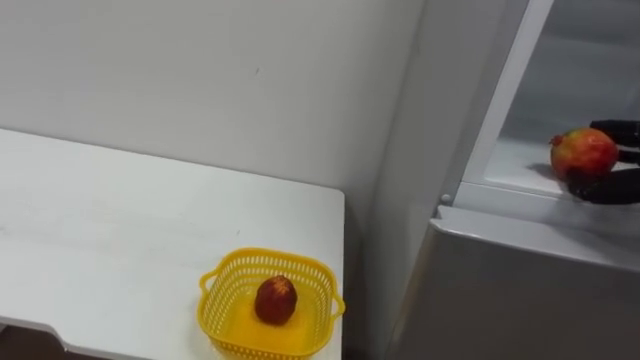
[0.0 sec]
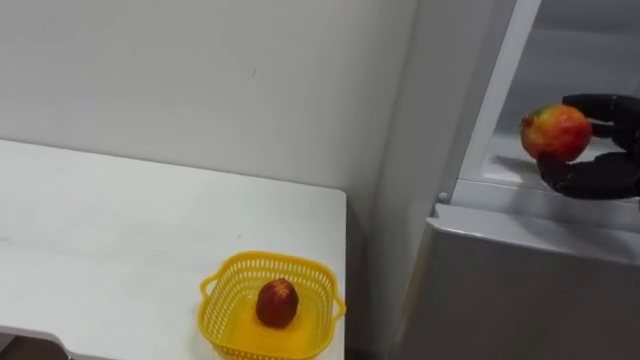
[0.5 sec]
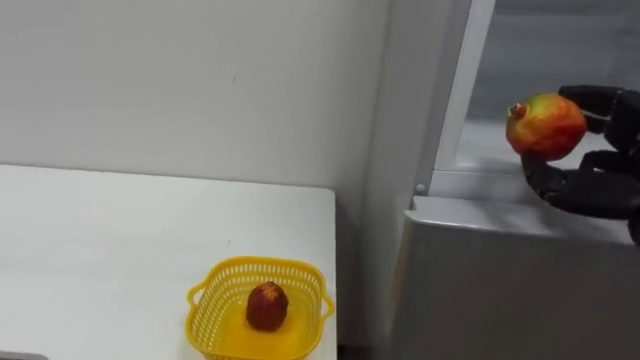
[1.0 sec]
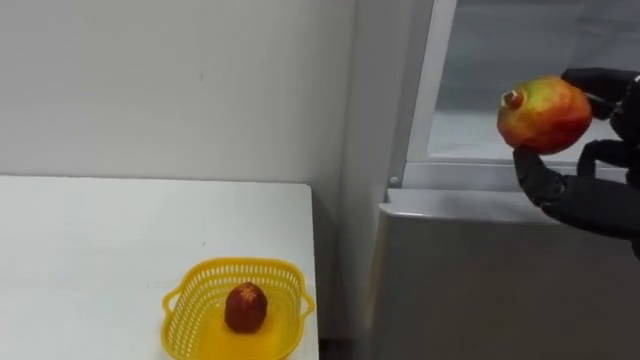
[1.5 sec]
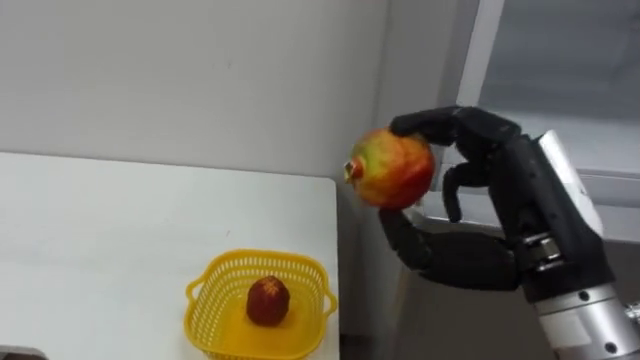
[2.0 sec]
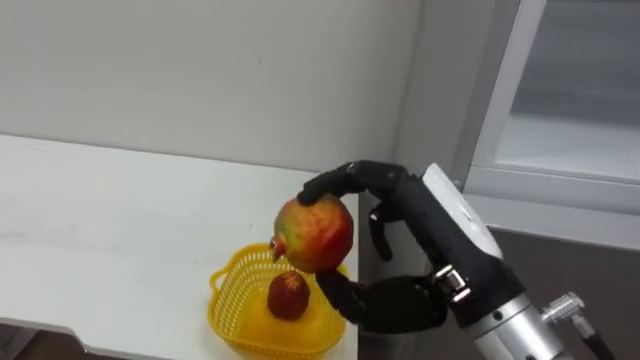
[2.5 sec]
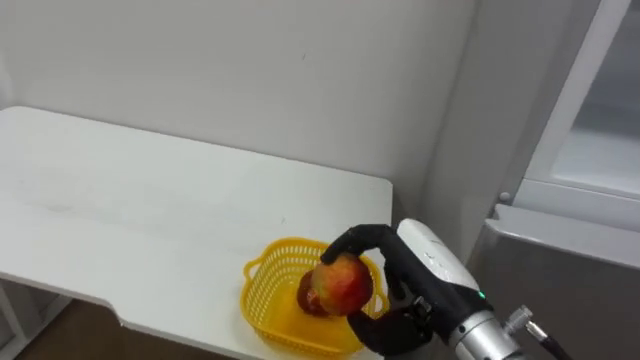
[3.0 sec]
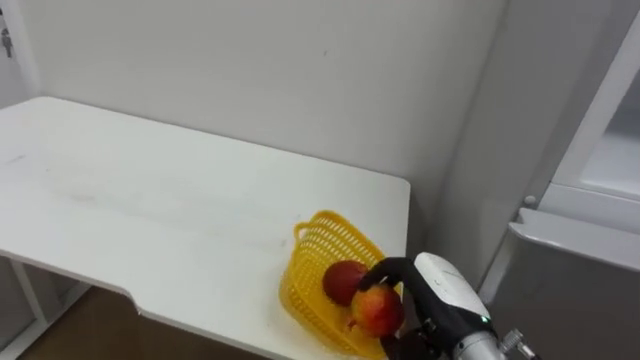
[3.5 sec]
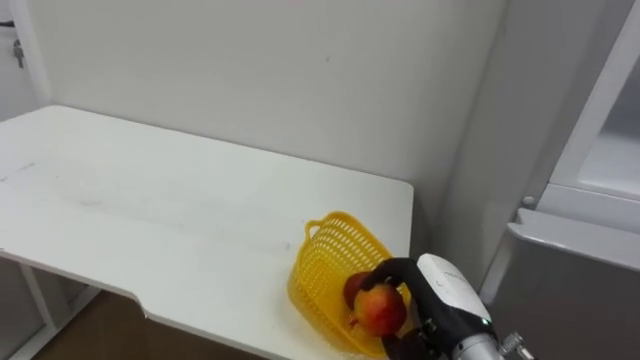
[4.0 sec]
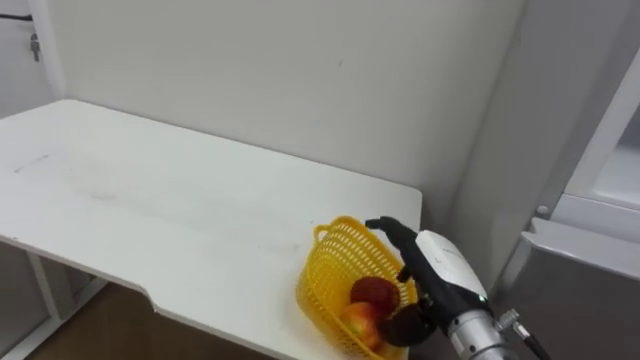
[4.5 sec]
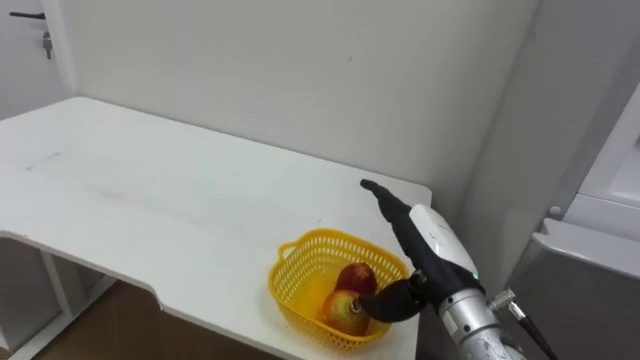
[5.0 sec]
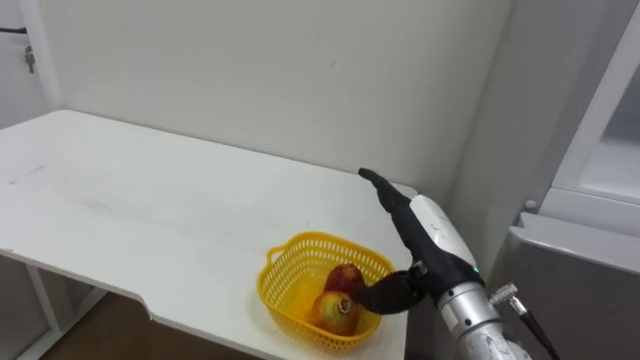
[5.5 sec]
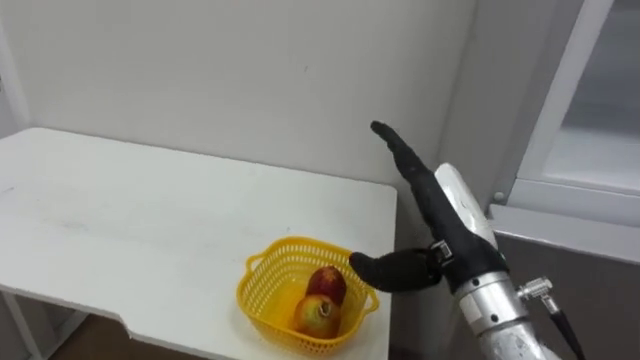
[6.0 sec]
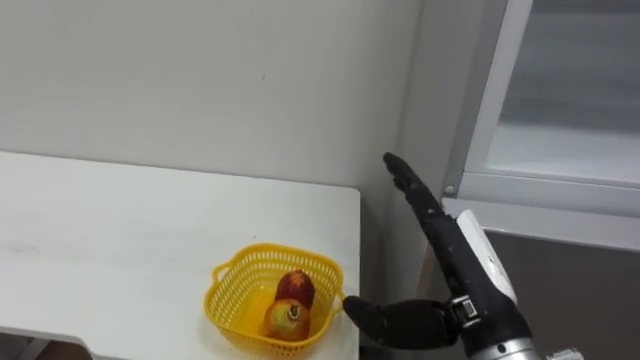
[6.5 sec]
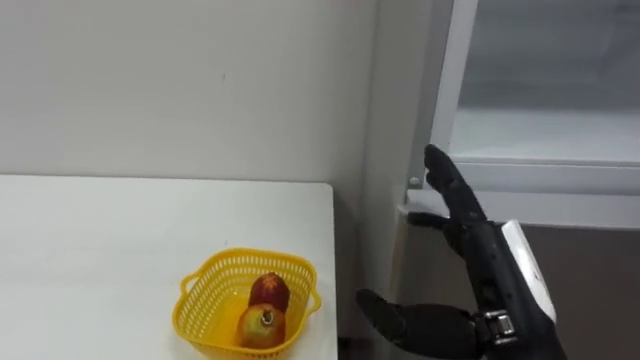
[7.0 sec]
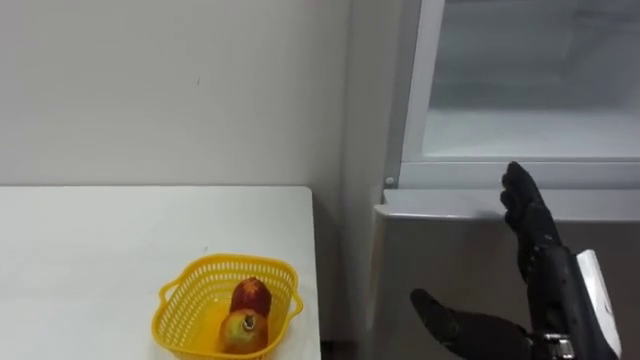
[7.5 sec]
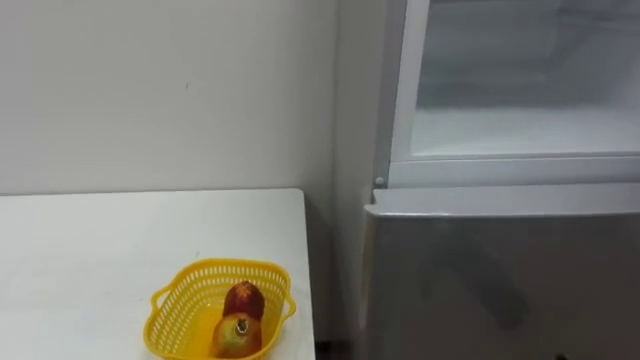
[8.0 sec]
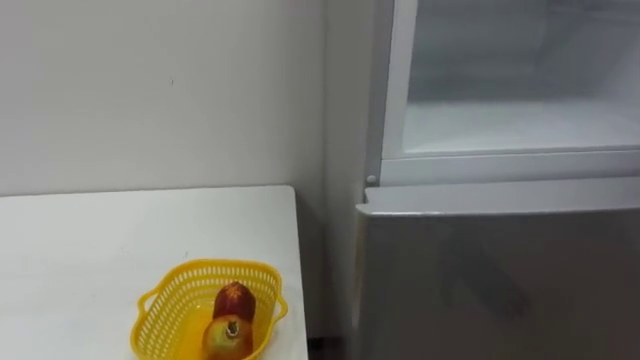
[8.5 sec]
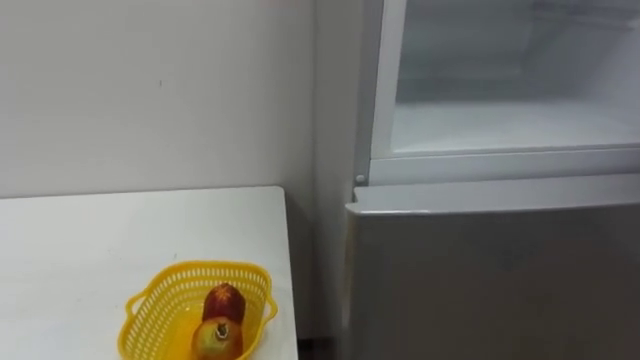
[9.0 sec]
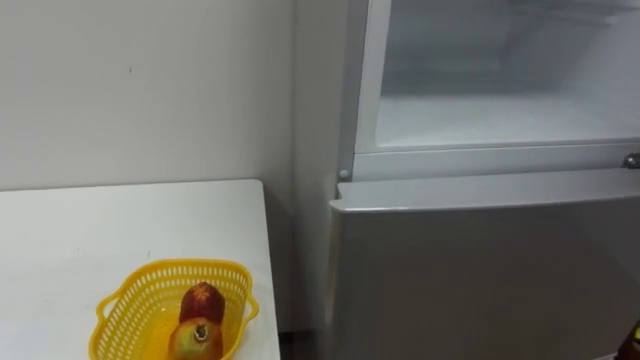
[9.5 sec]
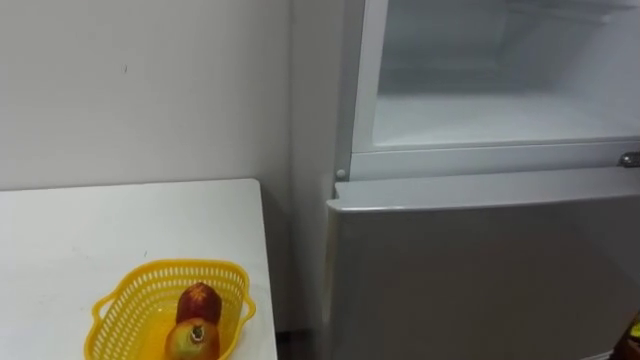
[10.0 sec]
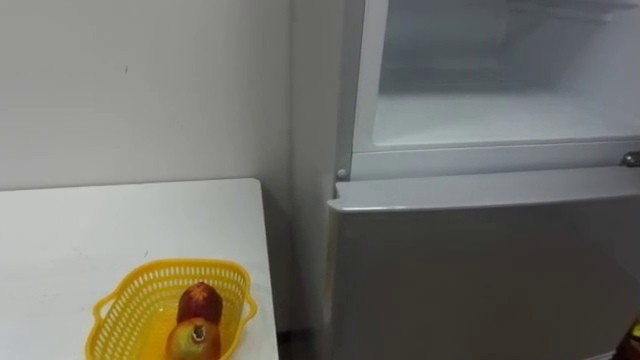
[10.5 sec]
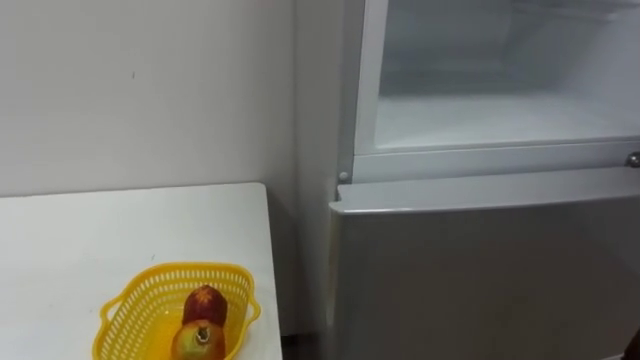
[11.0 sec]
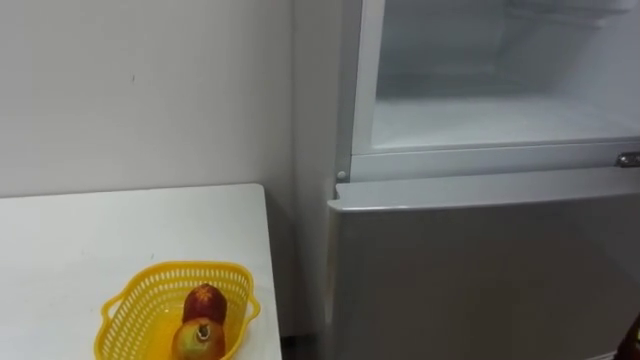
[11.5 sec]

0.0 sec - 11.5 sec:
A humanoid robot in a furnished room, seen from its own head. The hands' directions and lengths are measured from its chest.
Task of the whole recording: Open the refrigerator door, take out the apple and the pomegranate, place them in the fruit basket on the left, and close the refrigerator door.
2.0 sec - 4.0 sec: The right hand heads downward and forward, covering about 20 cm.
4.0 sec - 6.0 sec: The right hand heads upward, covering approximately 10 cm, and opens.
6.0 sec - 7.5 sec: The right hand is displaced backward and to the right by about 10 cm.

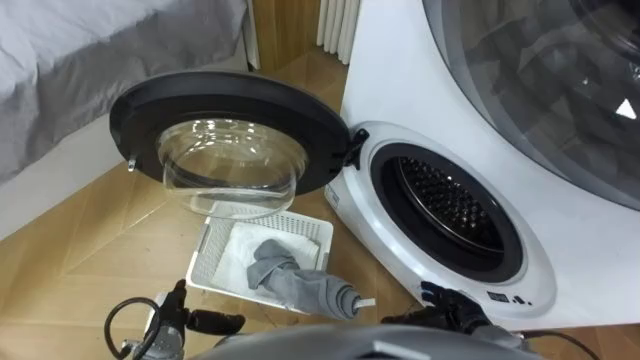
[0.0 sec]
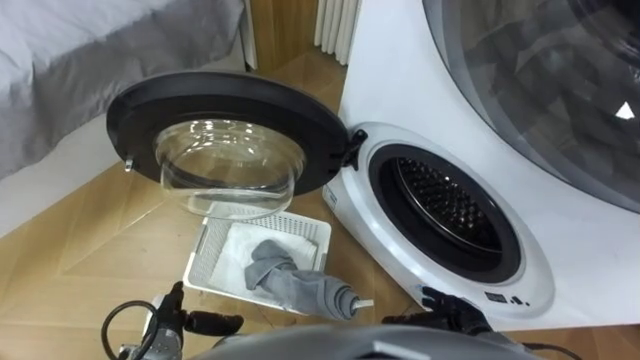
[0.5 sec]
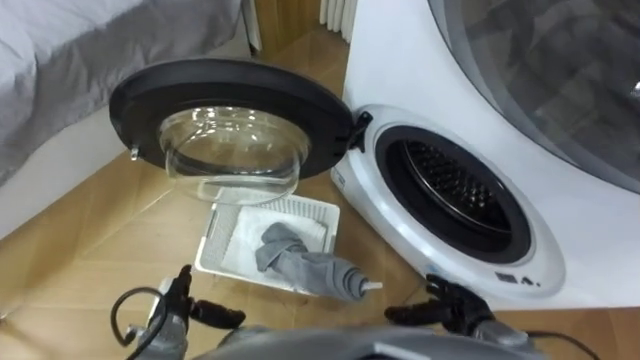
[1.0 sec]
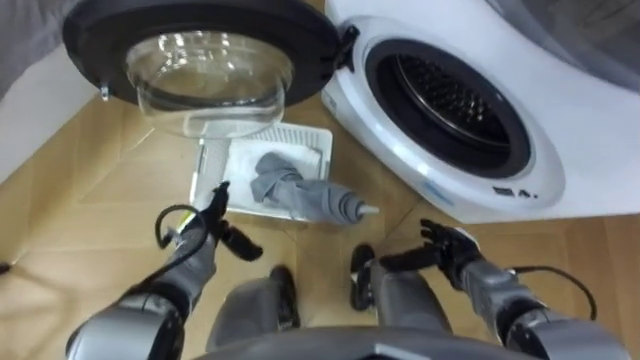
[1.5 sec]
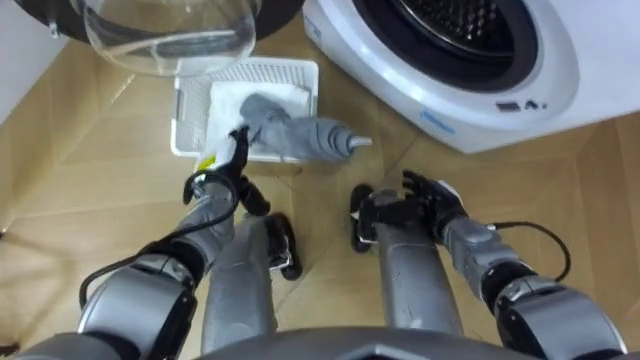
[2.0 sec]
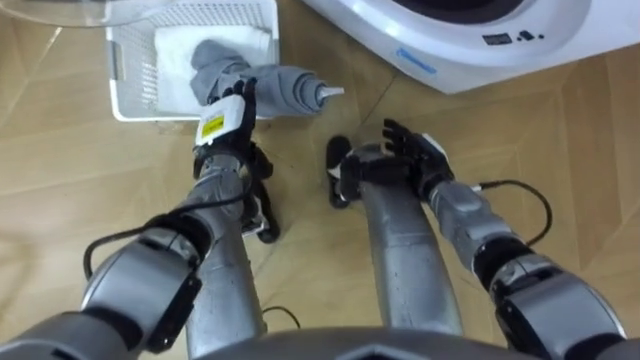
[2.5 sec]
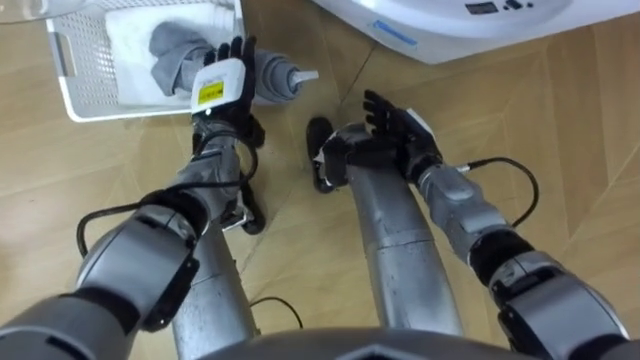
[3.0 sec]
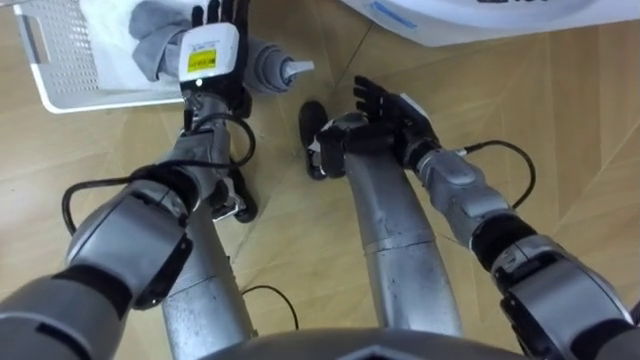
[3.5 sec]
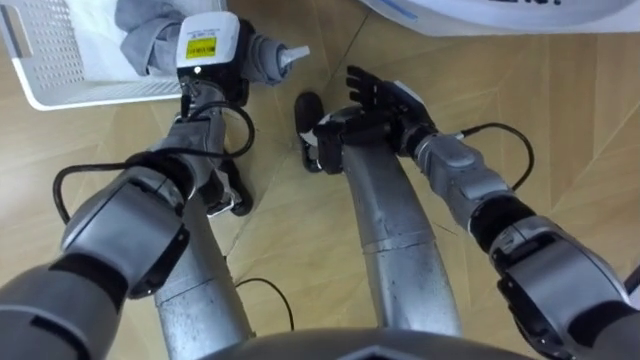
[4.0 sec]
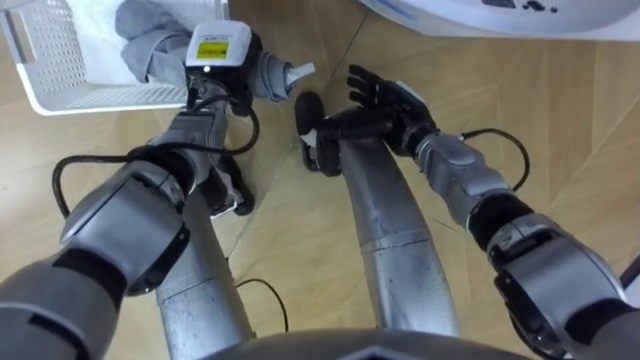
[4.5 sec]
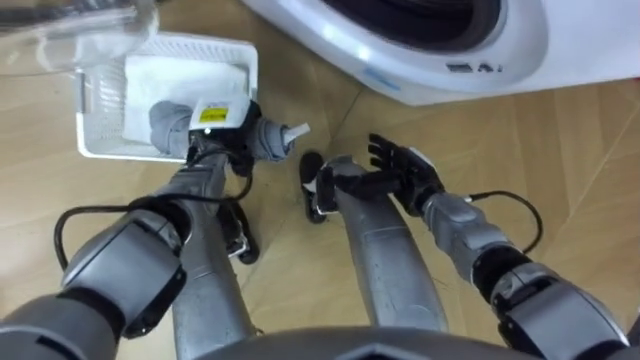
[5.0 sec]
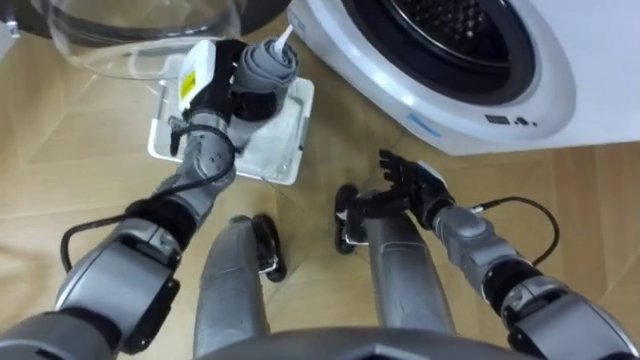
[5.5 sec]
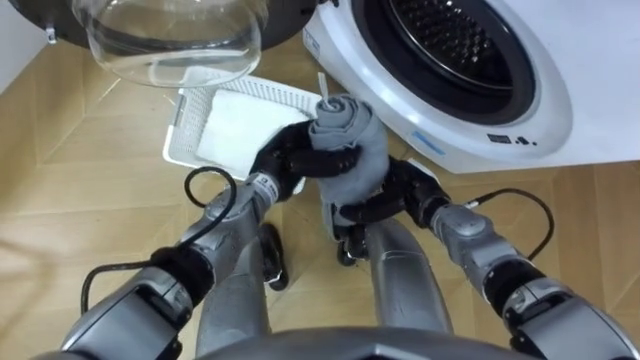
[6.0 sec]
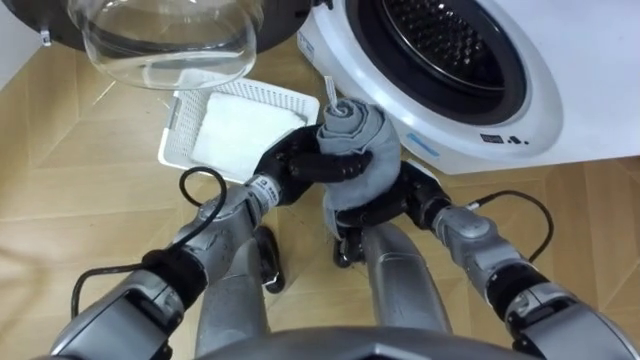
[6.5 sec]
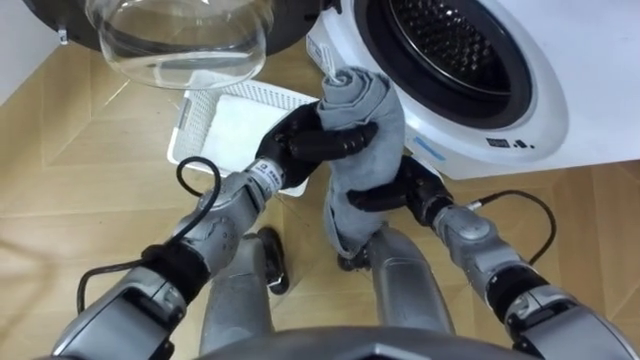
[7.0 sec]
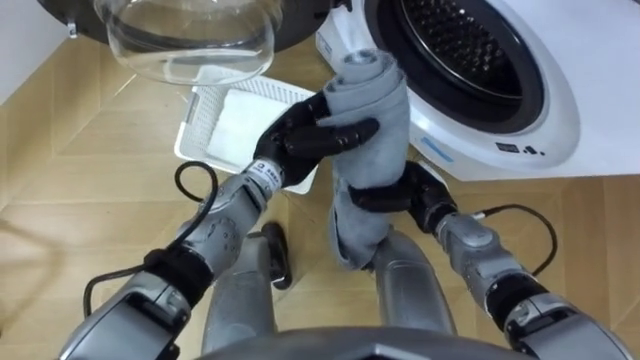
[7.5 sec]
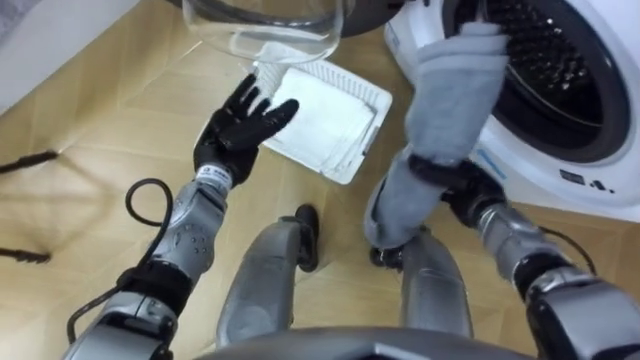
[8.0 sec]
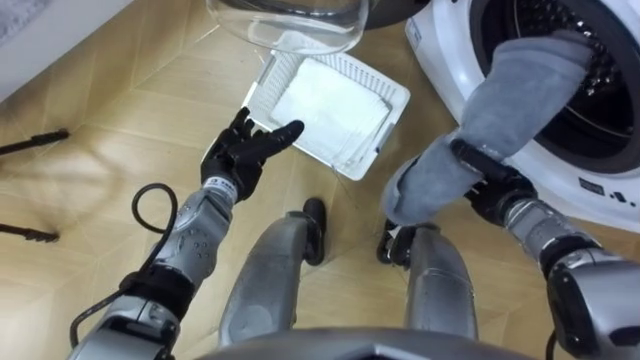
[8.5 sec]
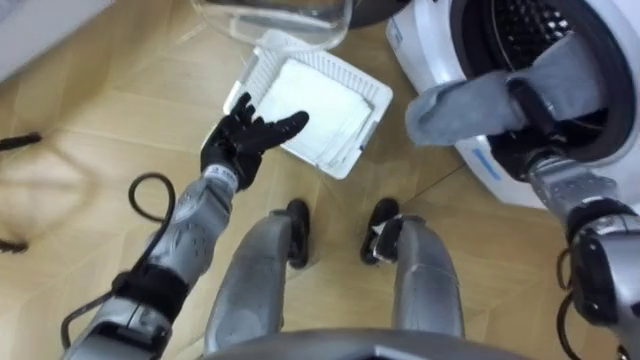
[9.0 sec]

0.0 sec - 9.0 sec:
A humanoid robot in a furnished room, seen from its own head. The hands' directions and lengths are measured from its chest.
Task of the whole recording: Take the towel from the basket and put it into the washing machine.
2.0 sec - 4.5 sec: The left hand goes roughly 15 cm upward and forward, and closes its fingers. Meanwhile the right hand travels upward, forward and to the left by roughly 15 cm.
4.5 sec - 7.0 sec: The right hand goes roughly 10 cm backward and downward, and closes up; the left hand is displaced backward and to the right by about 15 cm.
7.0 sec - 9.0 sec: The left hand moves to the left, roughly 10 cm, and opens its fingers. The right hand moves to the right, some 15 cm.
